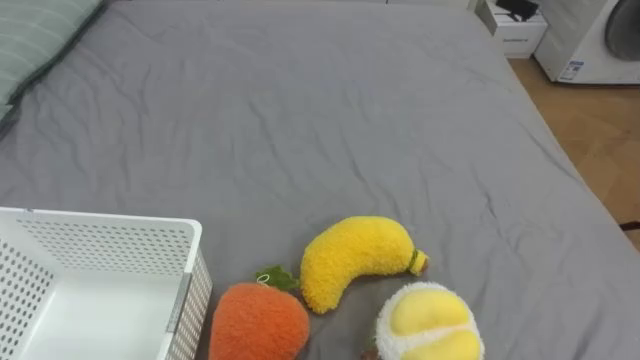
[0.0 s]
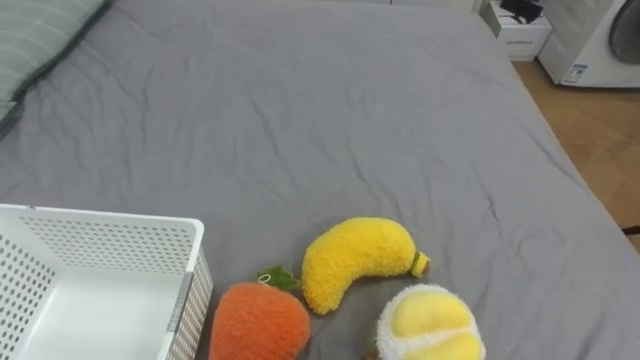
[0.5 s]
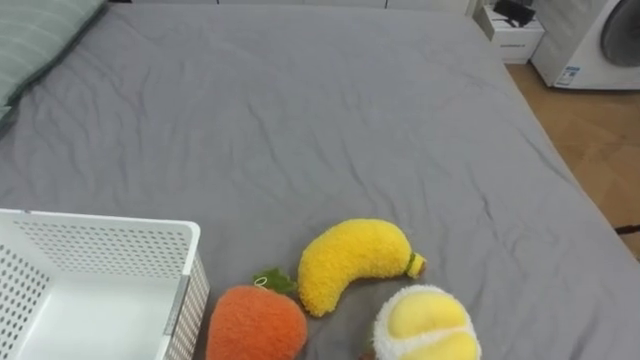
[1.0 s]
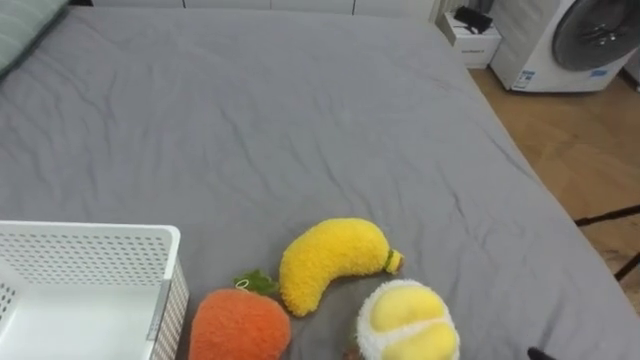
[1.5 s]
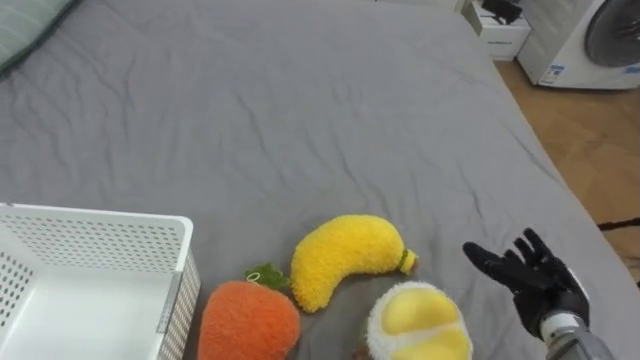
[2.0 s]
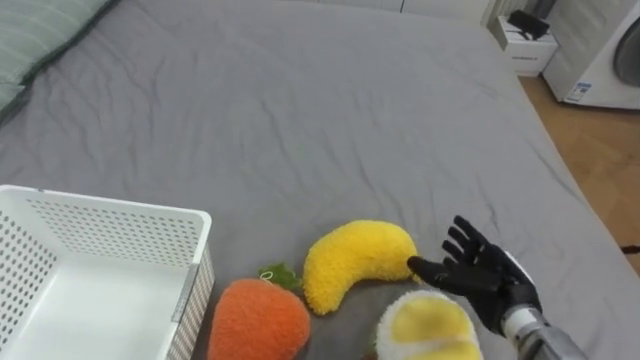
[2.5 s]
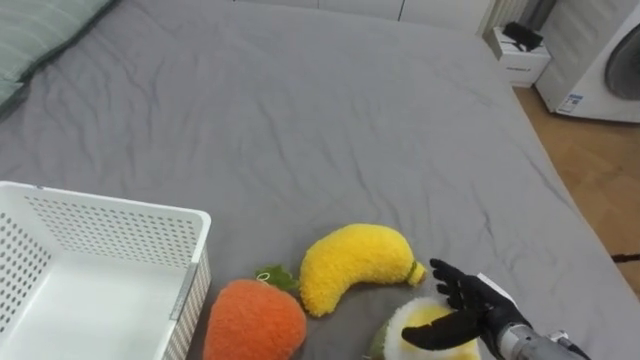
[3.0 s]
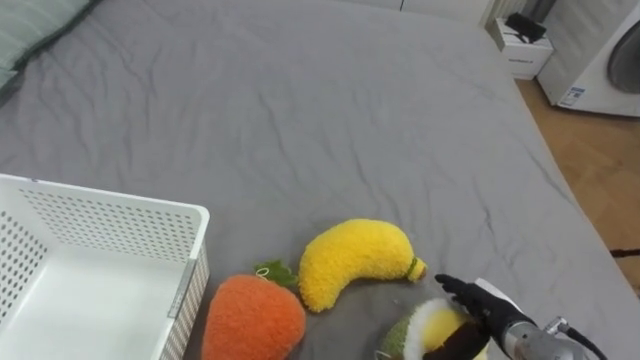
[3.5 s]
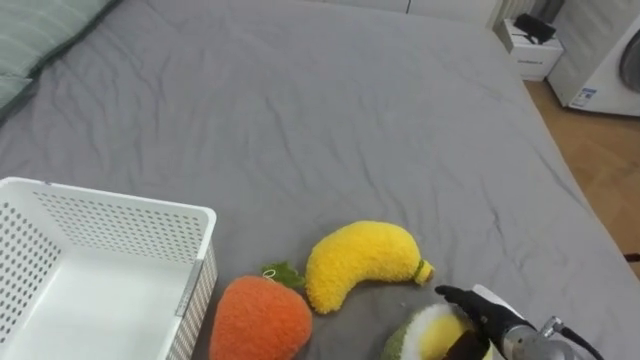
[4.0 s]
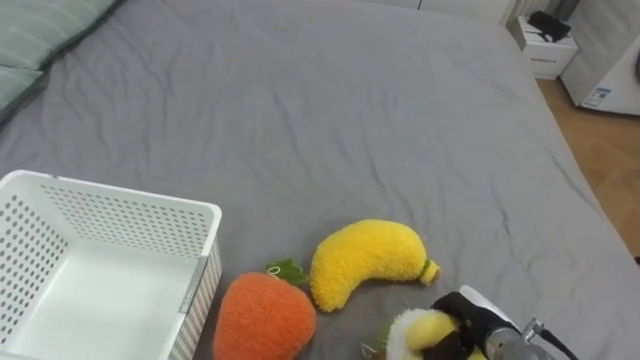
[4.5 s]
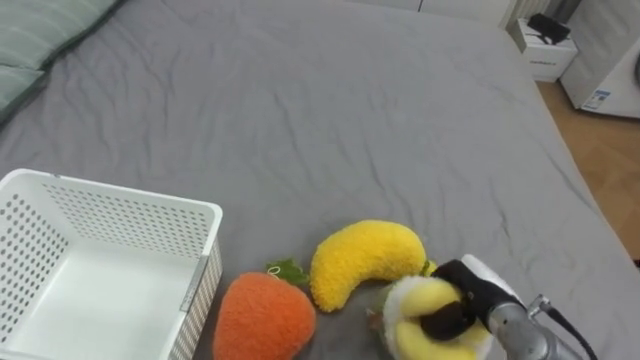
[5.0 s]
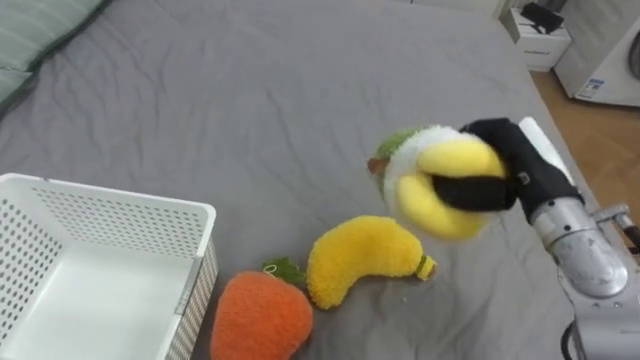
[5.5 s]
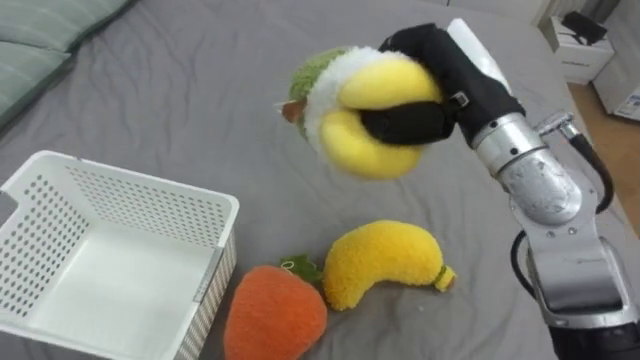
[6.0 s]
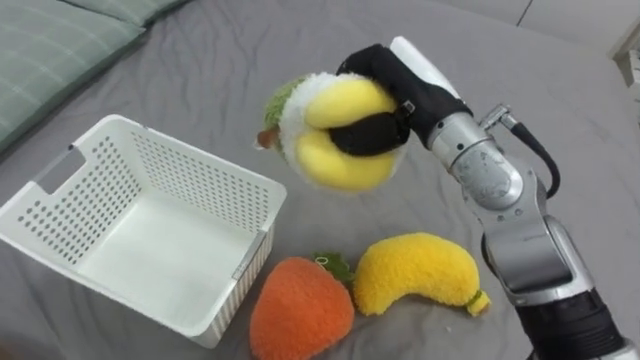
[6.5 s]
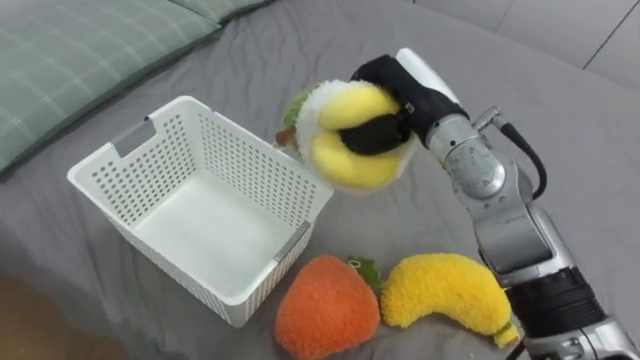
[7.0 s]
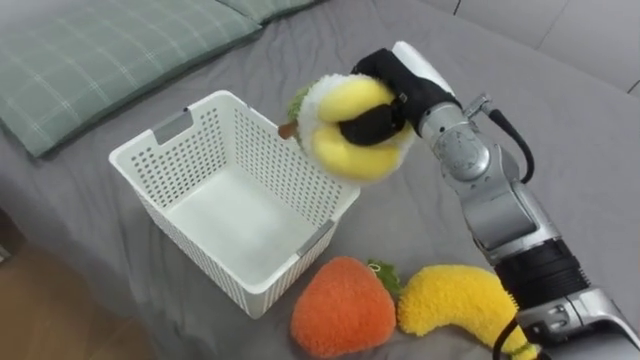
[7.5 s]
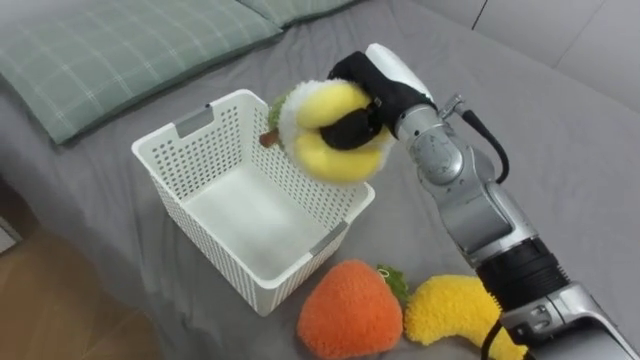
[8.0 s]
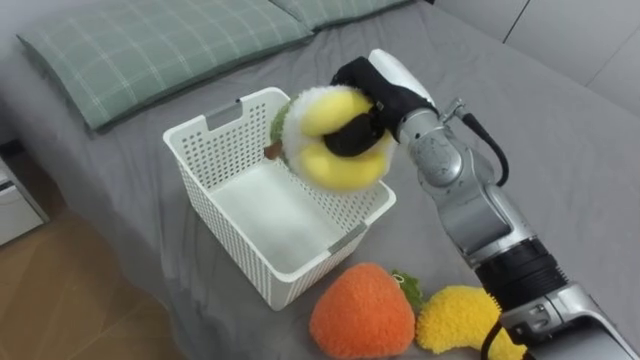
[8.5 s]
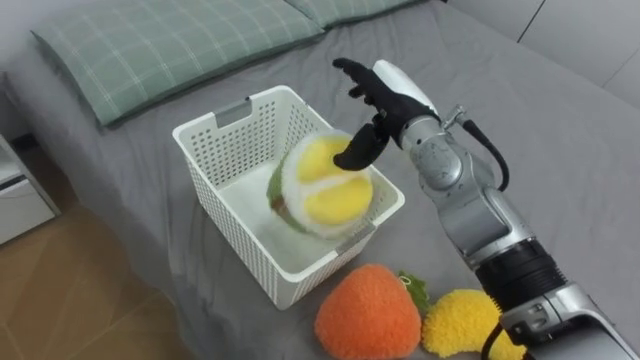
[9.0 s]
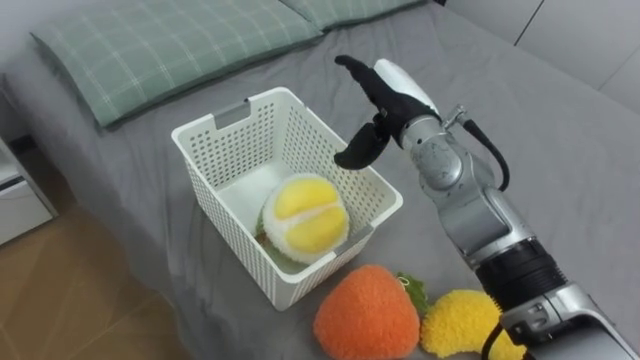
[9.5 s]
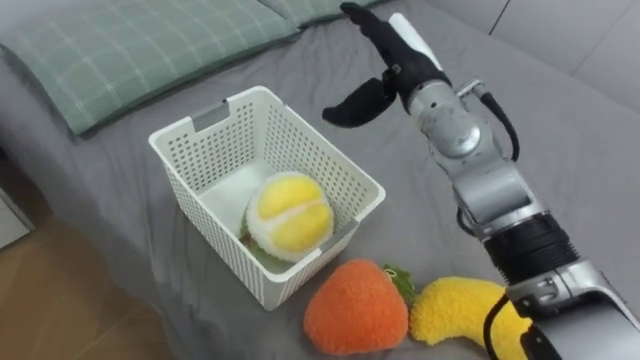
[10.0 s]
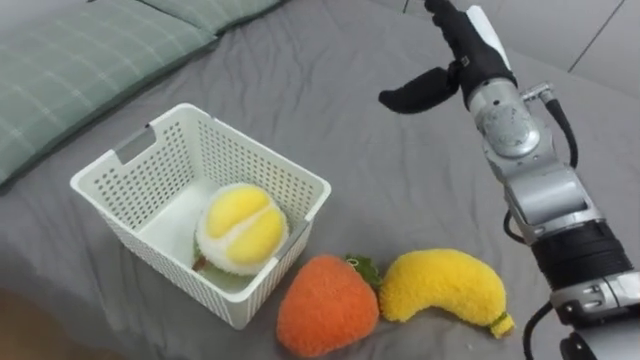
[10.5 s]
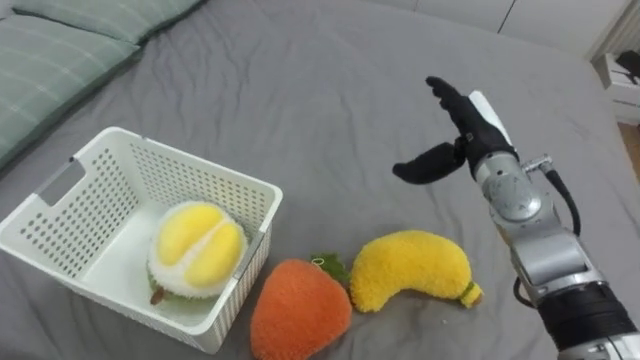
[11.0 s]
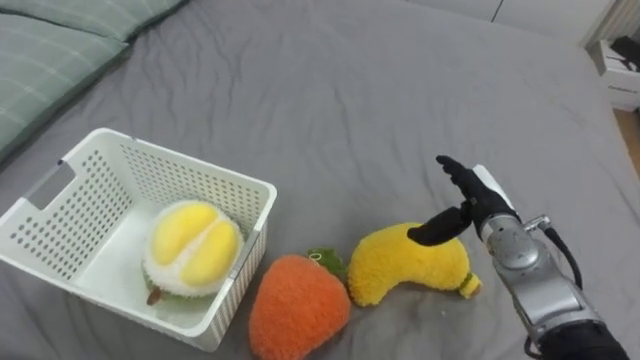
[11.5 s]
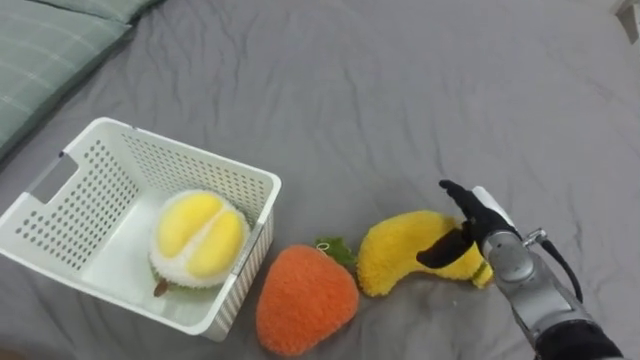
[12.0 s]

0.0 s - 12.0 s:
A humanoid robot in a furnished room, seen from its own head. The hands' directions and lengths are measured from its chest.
Task of the whole recording: Put the toys on the bed into the basket on the left.
2.0 s - 4.0 s: The right hand moves to the left, roughly 5 cm.
4.0 s - 6.0 s: The right hand heads upward and forward, covering approximately 35 cm, and closes up.
6.0 s - 8.0 s: The right hand is displaced to the left, forward and downward by roughly 10 cm.
8.0 s - 10.0 s: The right hand opens.
10.0 s - 12.0 s: The right hand is displaced downward and to the right by approximately 25 cm.

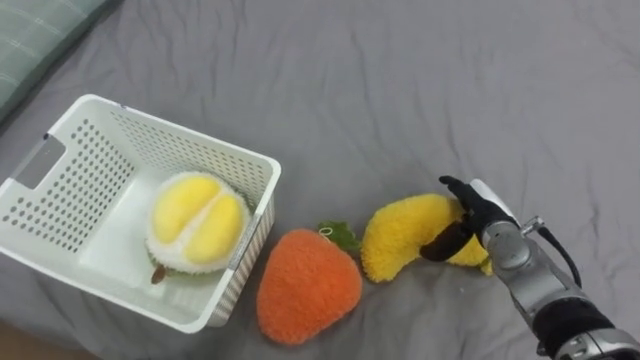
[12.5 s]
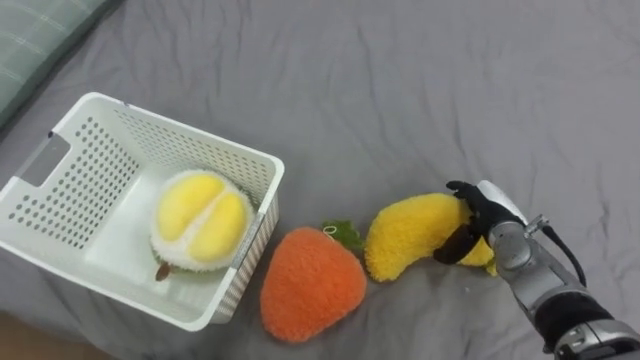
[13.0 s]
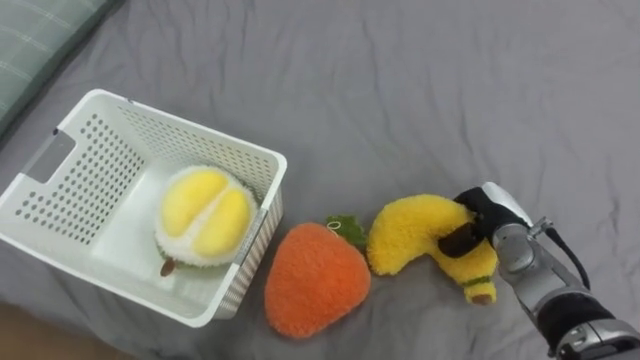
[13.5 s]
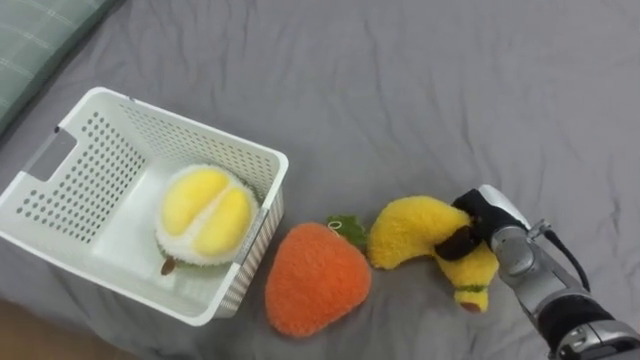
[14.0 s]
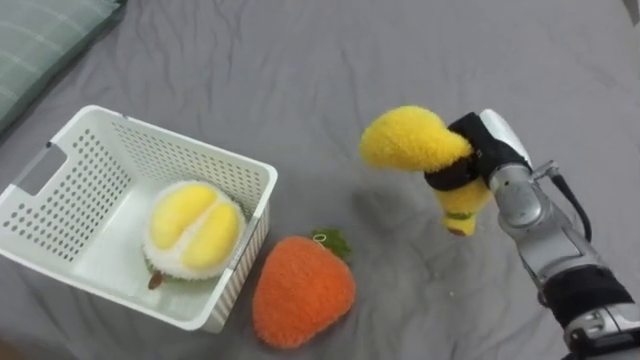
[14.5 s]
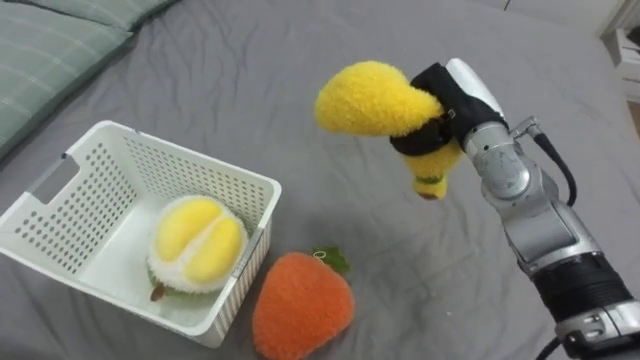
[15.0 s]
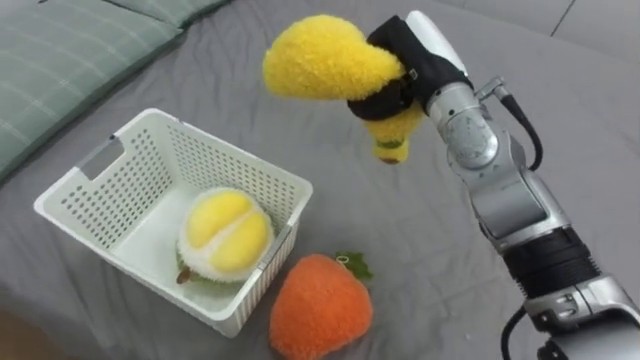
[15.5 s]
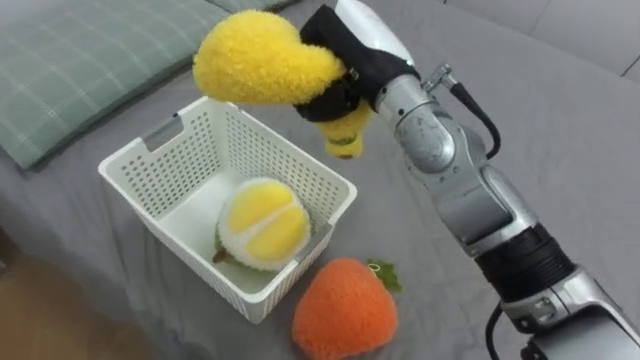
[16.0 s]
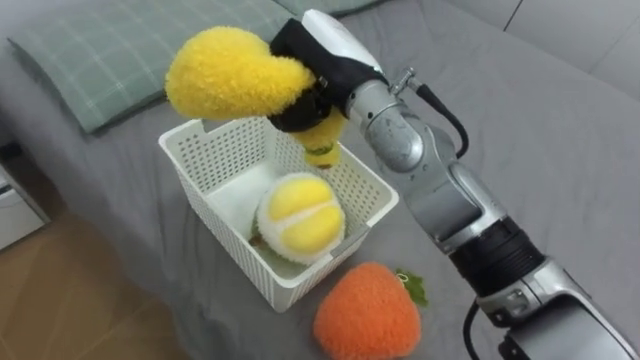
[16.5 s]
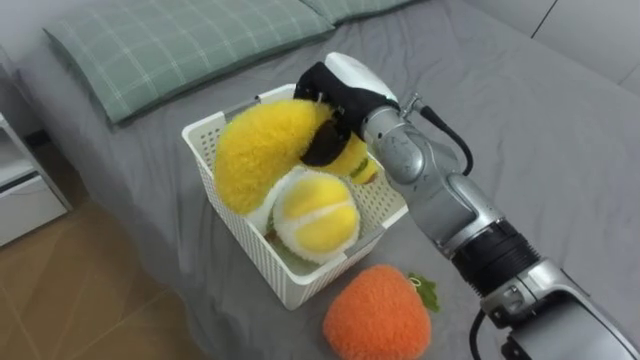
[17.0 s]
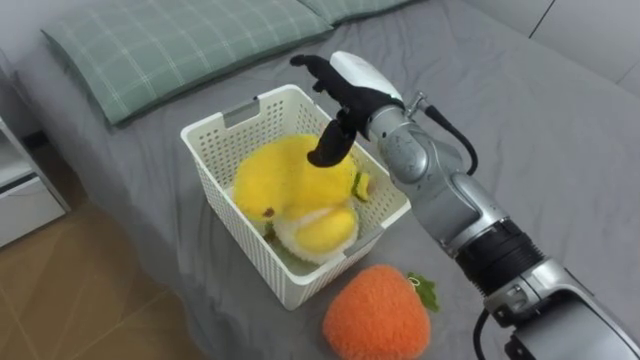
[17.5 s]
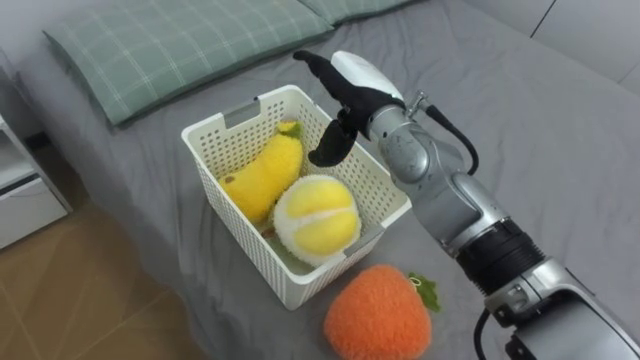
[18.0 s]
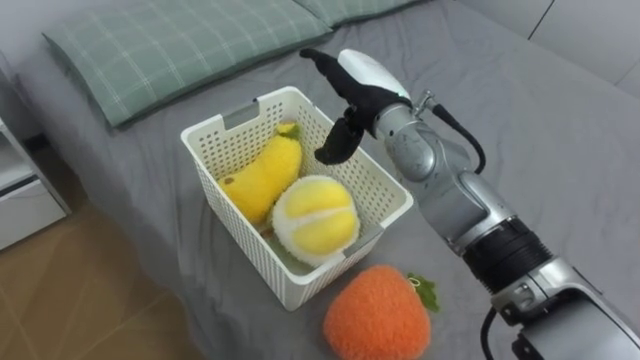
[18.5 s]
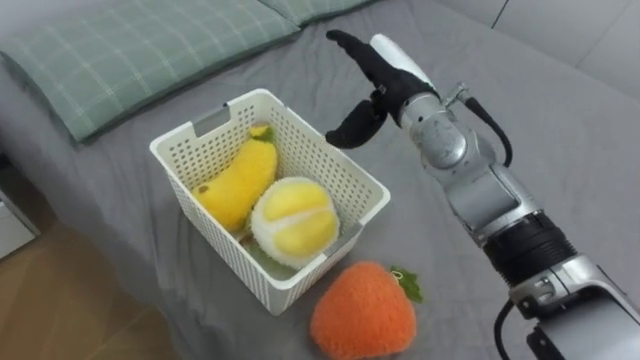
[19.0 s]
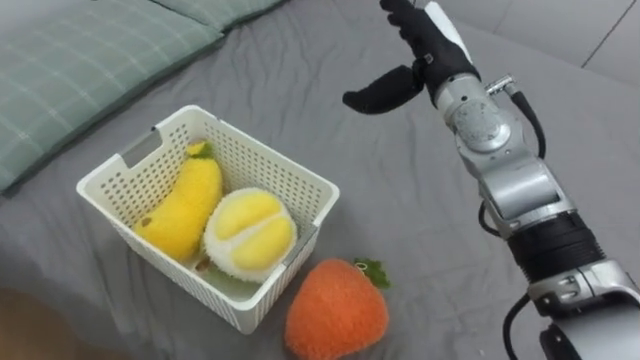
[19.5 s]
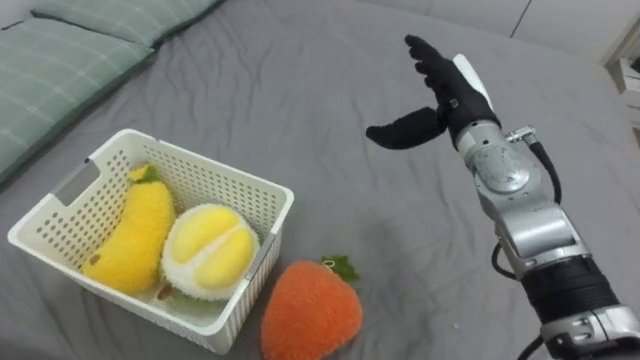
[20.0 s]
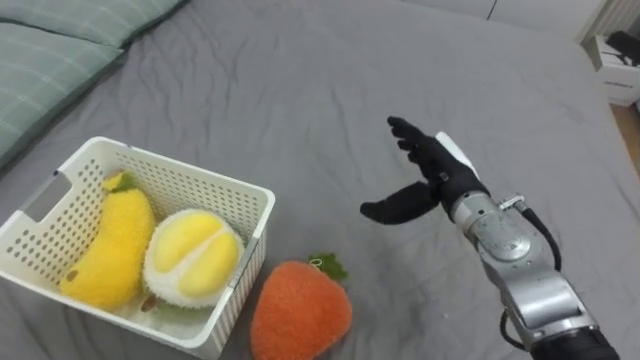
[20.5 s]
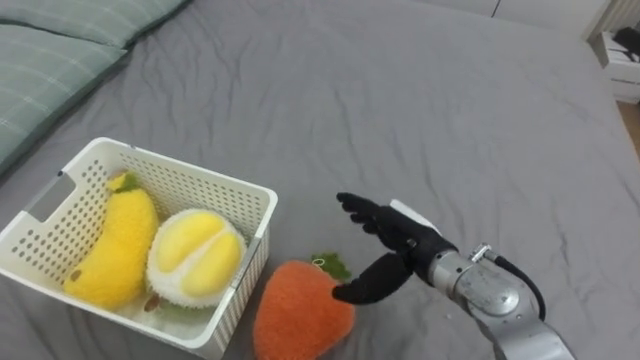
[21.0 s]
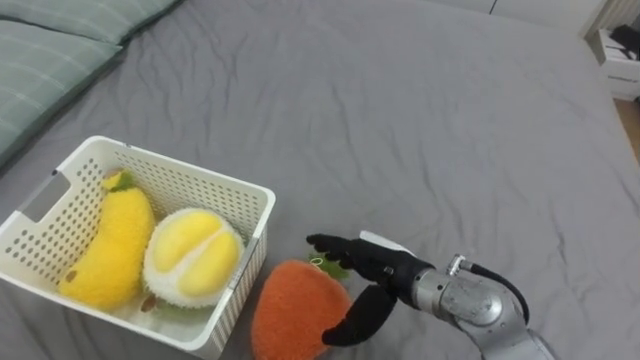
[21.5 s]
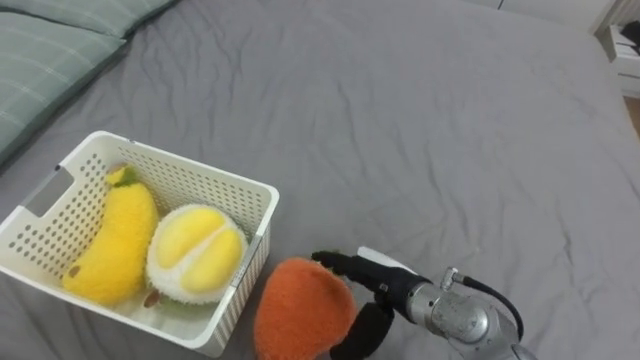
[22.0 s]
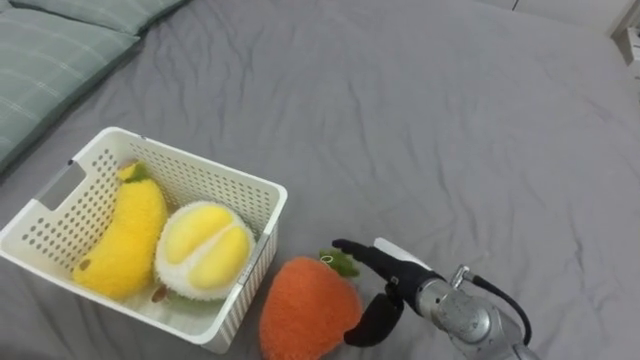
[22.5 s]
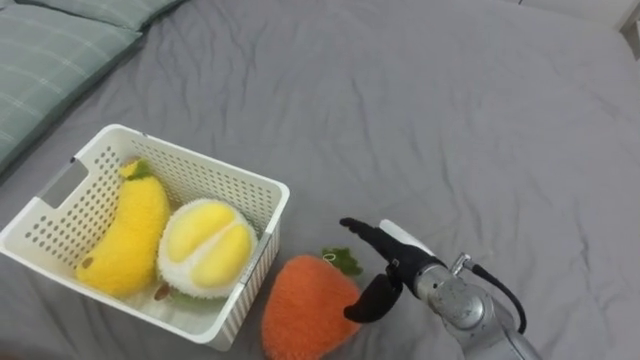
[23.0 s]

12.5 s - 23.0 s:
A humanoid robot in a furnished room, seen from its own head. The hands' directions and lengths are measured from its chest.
Task of the whole recording: Put the toys on the bed into the basket on the left.
12.5 s - 14.5 s: The right hand goes some 10 cm upward, and closes.
14.5 s - 16.5 s: The right hand shifts approximately 25 cm to the left and upward.
16.5 s - 19.0 s: The right hand travels to the right by some 5 cm, and opens up.
19.0 s - 21.0 s: The right hand goes roughly 20 cm downward and backward.
